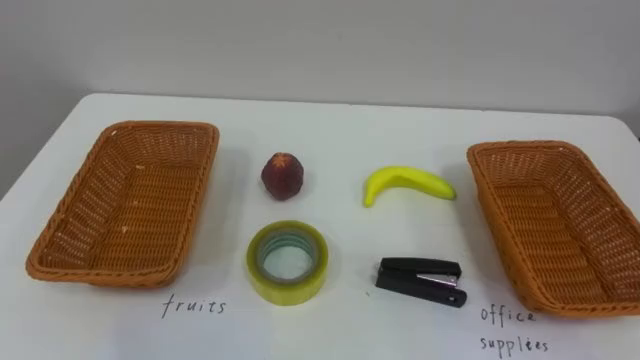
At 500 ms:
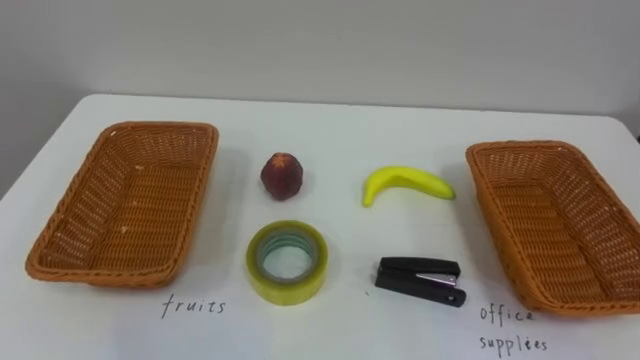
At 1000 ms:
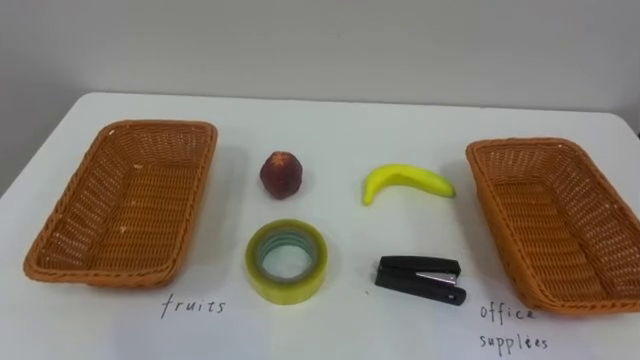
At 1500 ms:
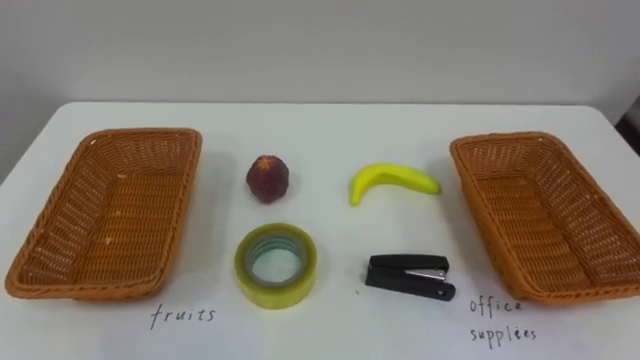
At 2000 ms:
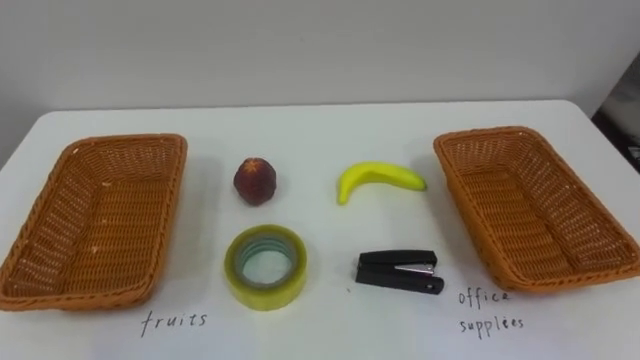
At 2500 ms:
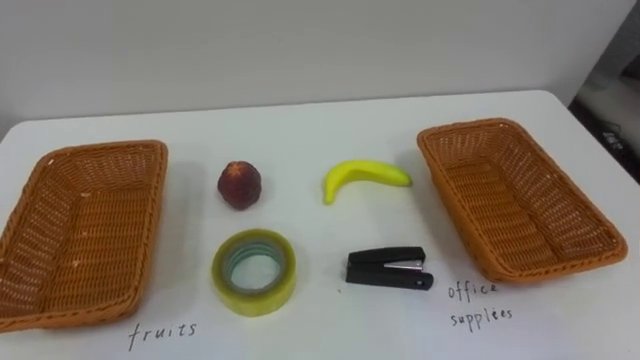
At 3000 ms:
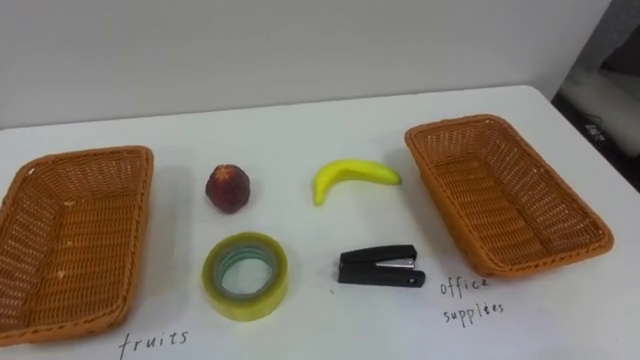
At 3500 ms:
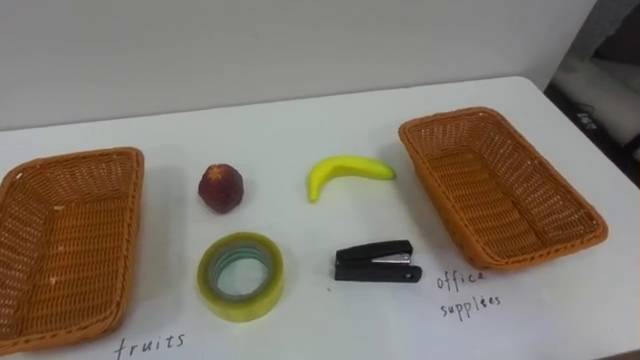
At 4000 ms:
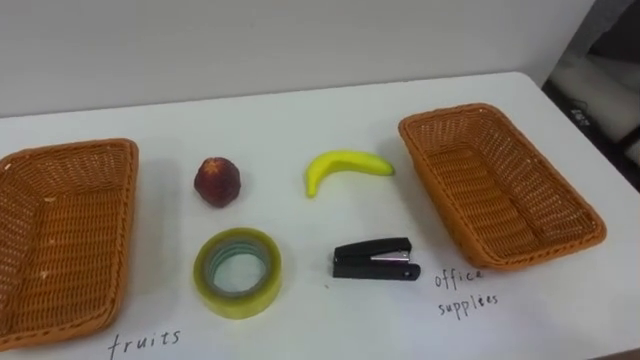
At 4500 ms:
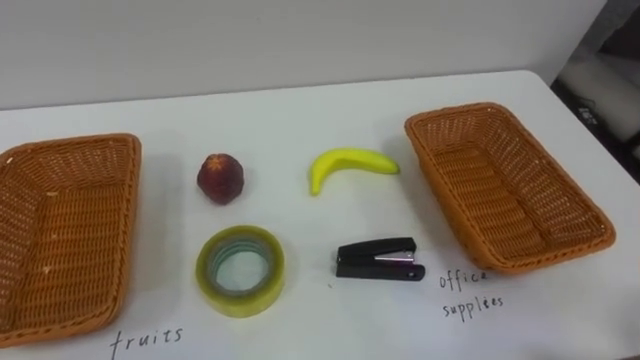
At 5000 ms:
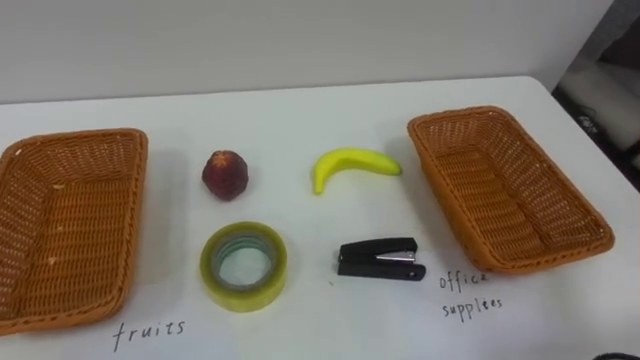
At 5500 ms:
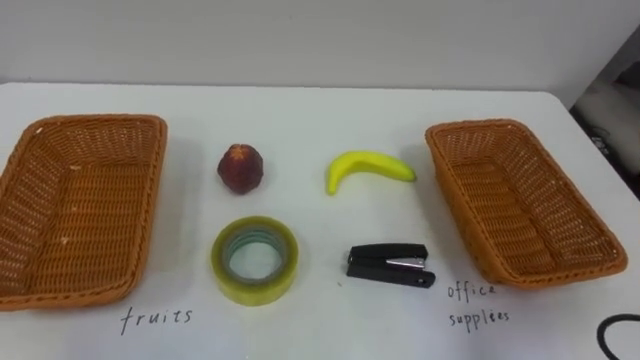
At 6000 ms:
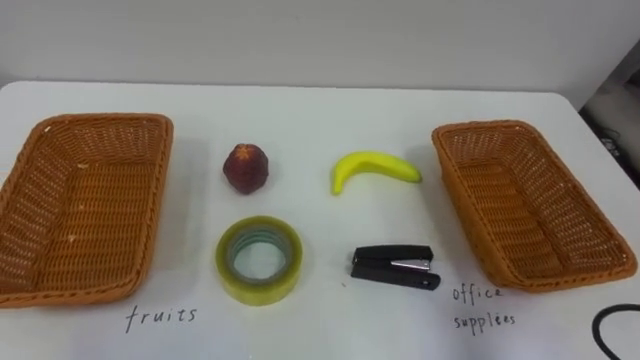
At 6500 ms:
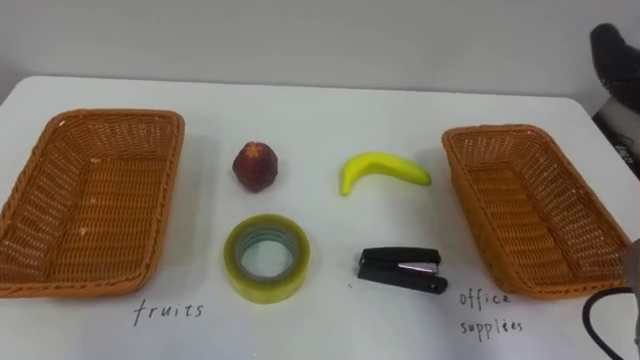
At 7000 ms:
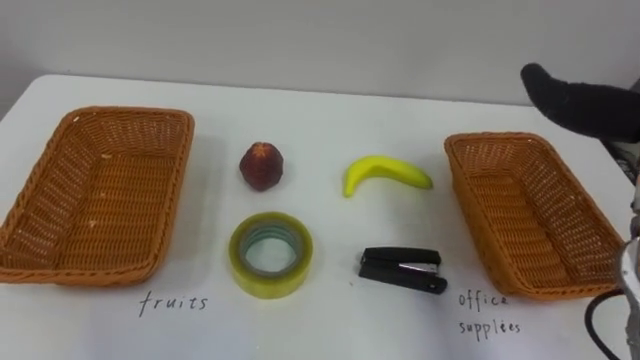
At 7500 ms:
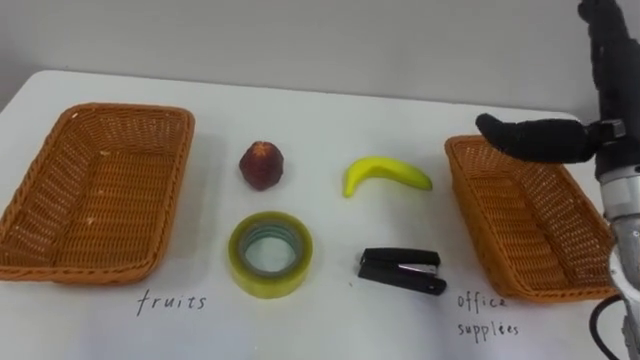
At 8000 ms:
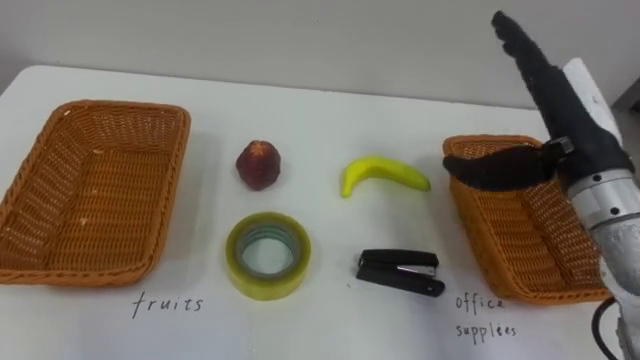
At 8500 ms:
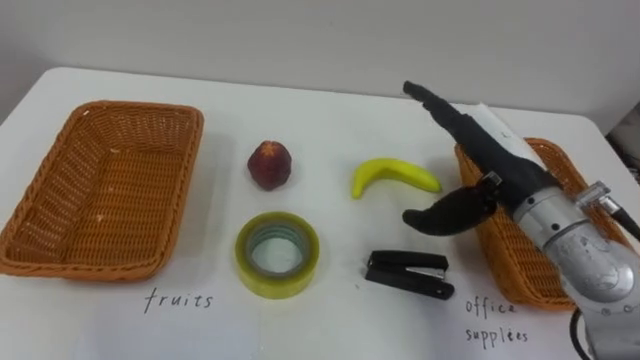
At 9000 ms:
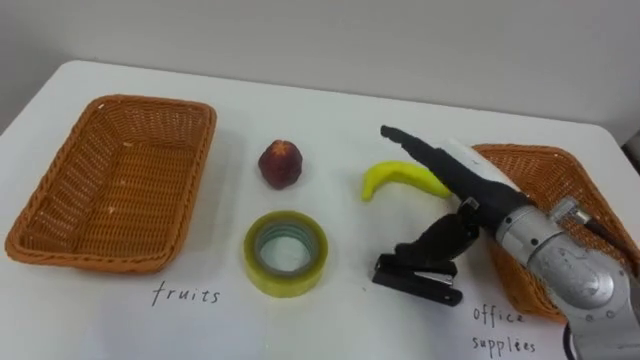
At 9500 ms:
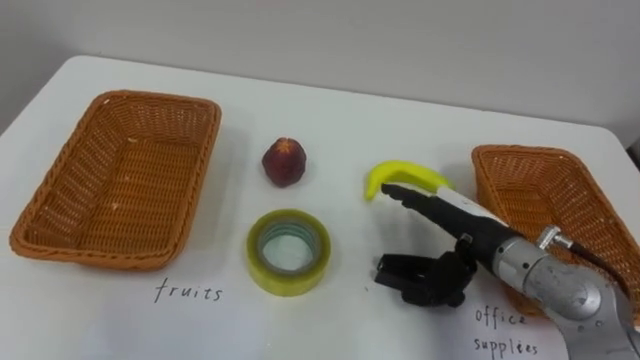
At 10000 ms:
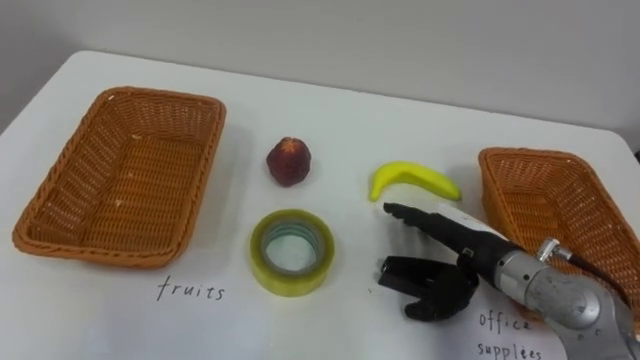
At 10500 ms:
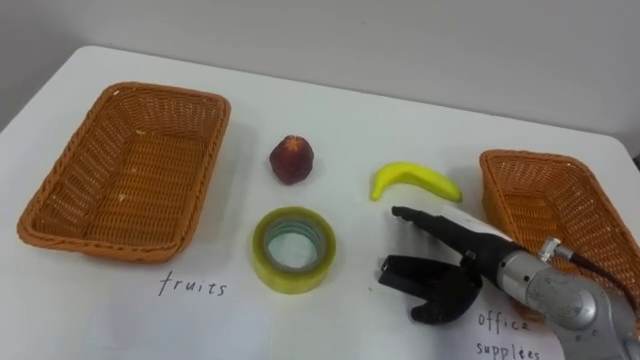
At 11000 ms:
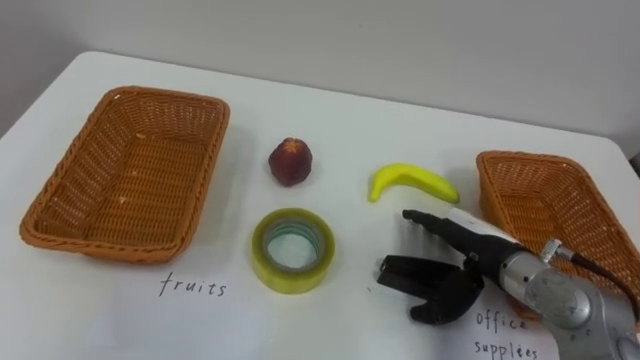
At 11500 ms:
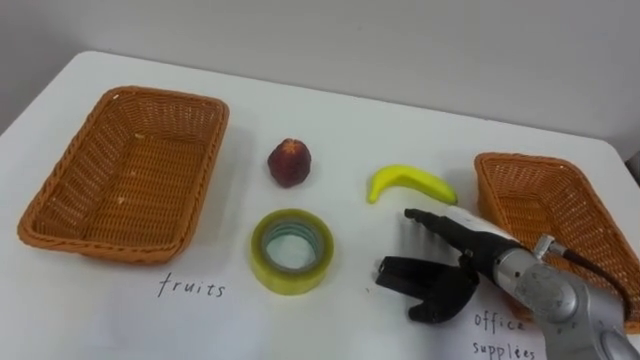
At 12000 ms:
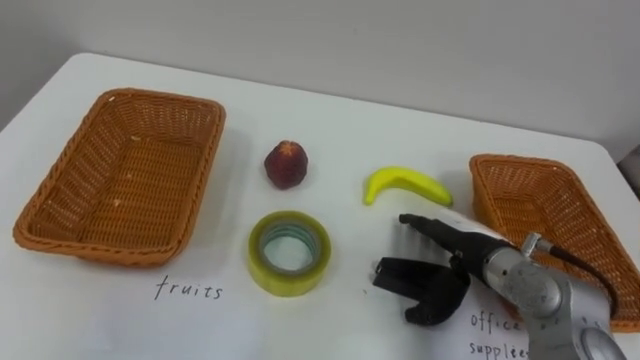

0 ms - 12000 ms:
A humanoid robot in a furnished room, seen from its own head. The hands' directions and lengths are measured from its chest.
Task of the whole recording: Separate the items on the table and place them into the two baskets.
8000 ms - 10000 ms: The right hand travels downward by approximately 15 cm.

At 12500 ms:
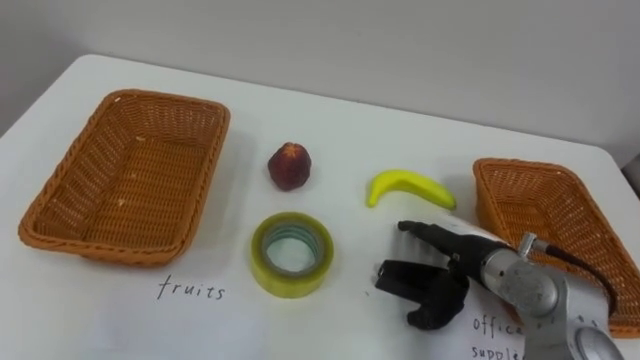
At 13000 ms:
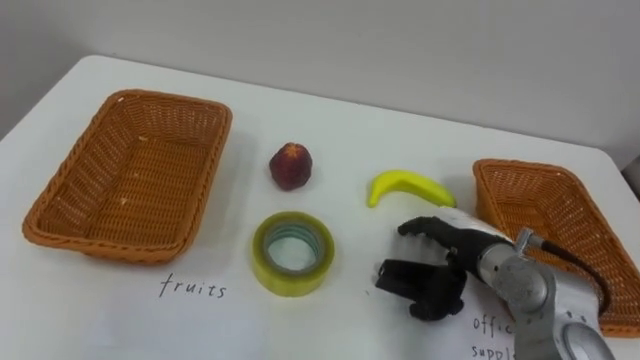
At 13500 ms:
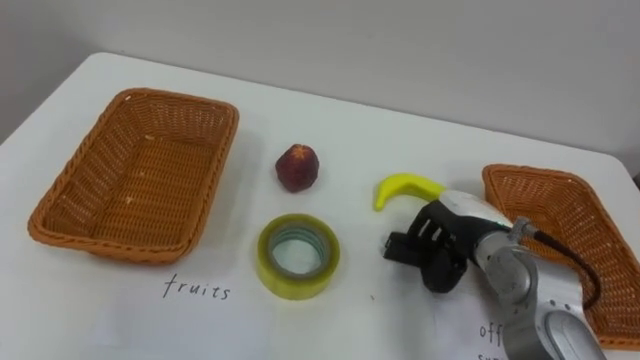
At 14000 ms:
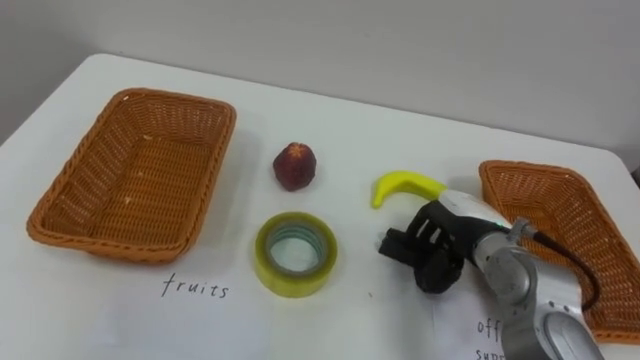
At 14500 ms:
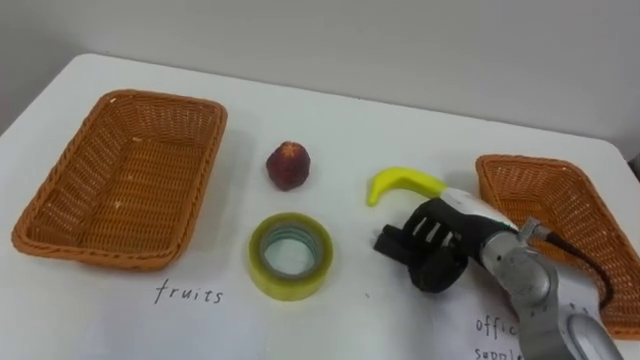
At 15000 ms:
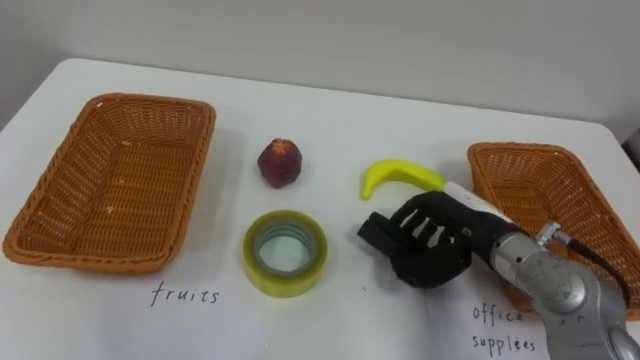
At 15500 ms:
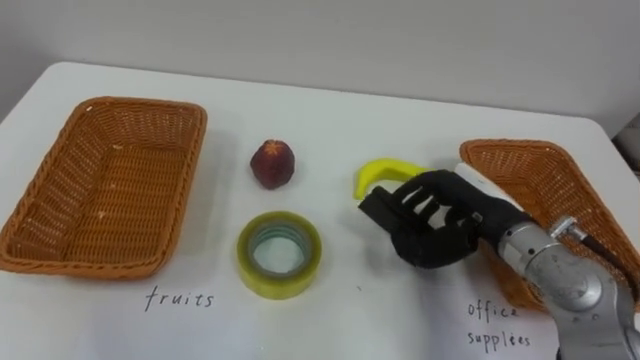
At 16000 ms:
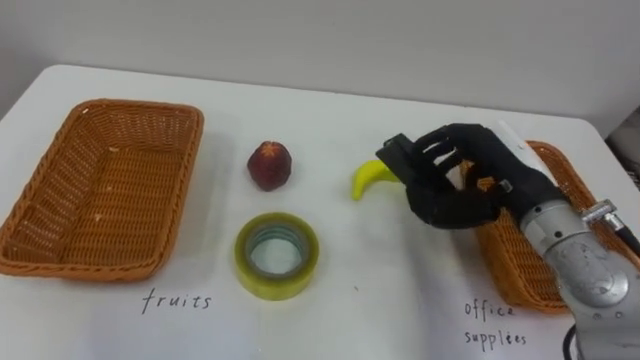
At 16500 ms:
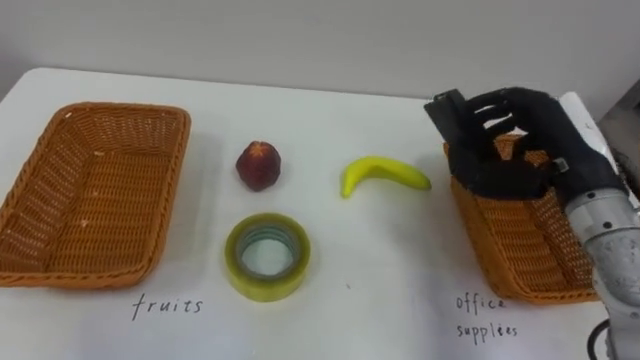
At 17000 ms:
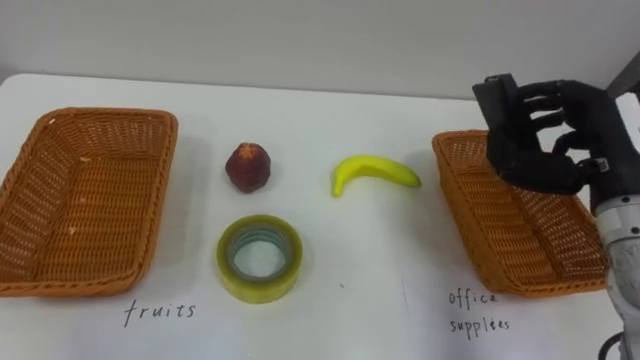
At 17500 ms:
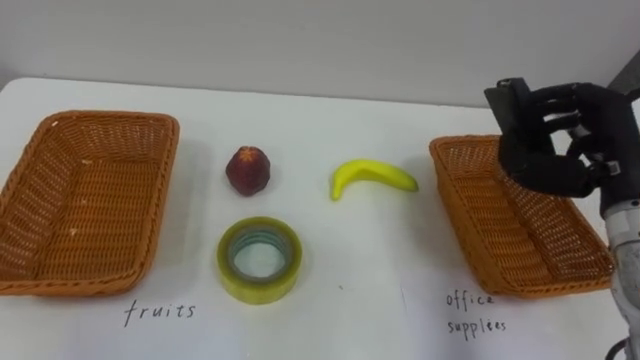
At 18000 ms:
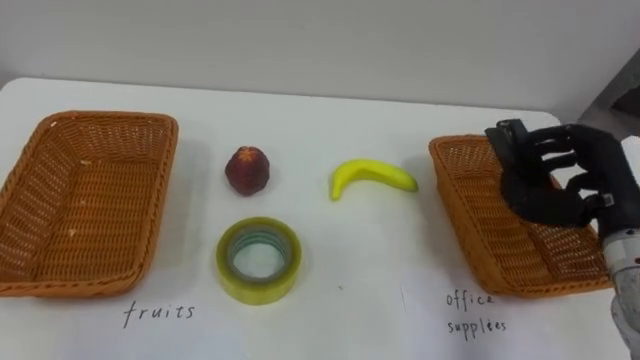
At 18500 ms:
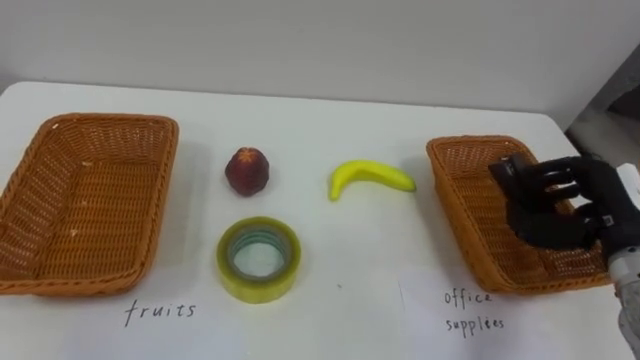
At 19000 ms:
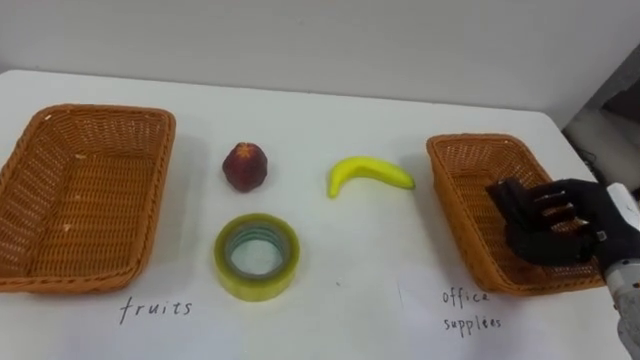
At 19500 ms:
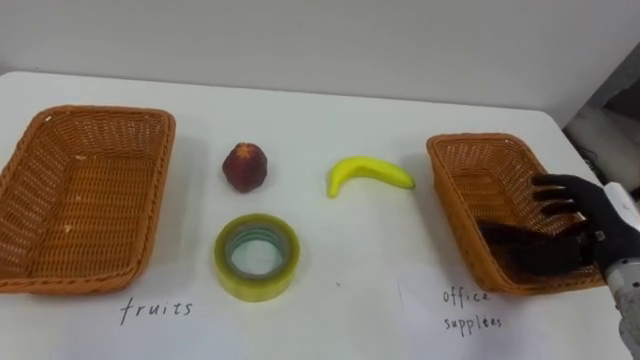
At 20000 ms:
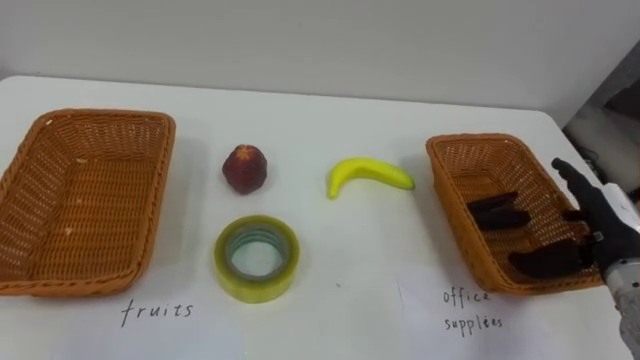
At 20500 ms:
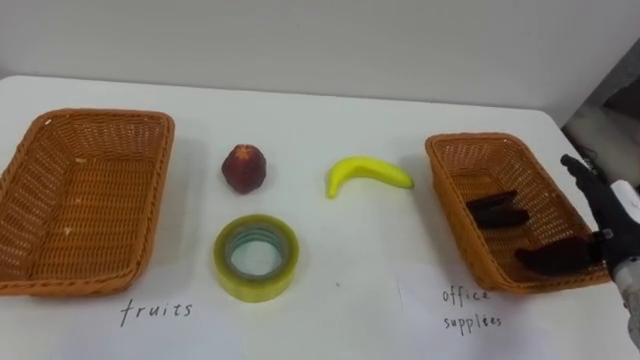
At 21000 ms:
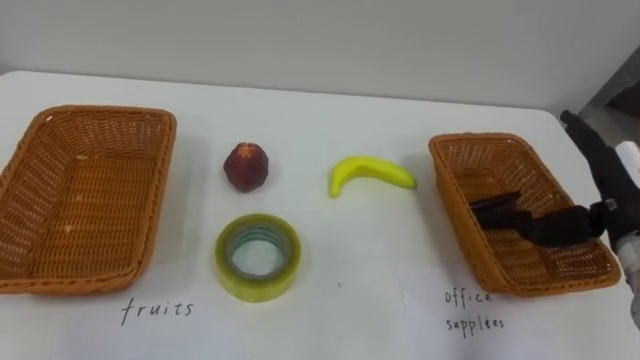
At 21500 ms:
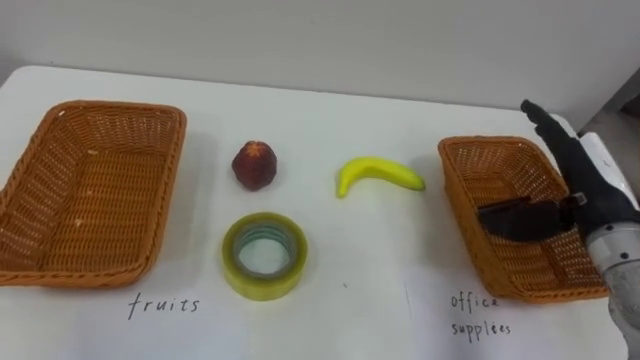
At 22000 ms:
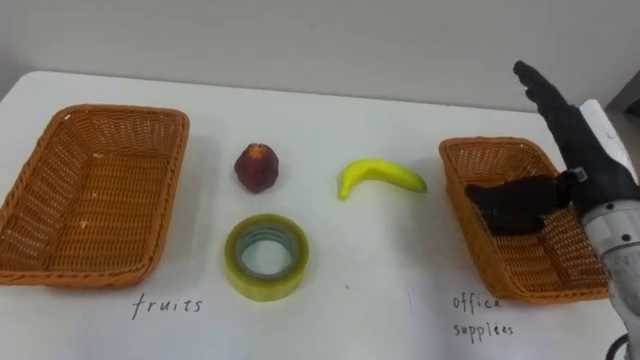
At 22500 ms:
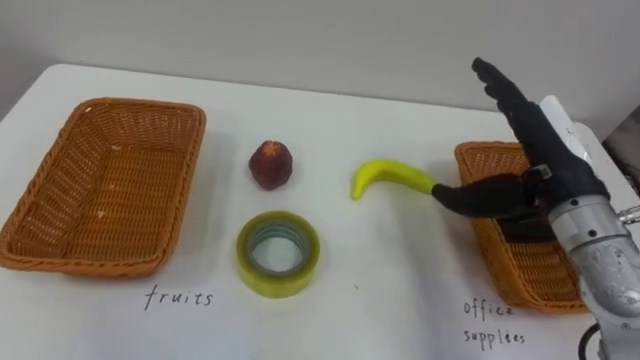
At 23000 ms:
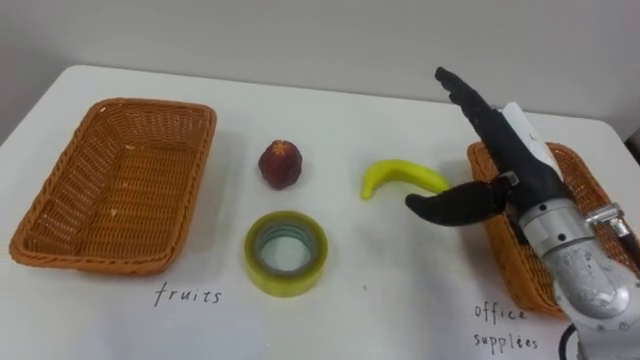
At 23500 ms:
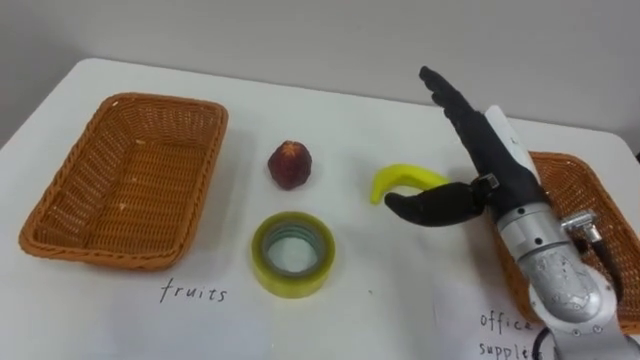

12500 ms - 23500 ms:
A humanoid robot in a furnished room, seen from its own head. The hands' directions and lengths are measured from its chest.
Task of the whole recording: Separate the items on the table and place them into the two baskets.
12500 ms - 14500 ms: The right hand closes.
14500 ms - 16000 ms: The right hand goes roughly 10 cm upward.
16000 ms - 18000 ms: The right hand heads to the right, covering approximately 10 cm.
18000 ms - 20000 ms: The right hand shifts some 5 cm downward, and opens up.
20000 ms - 21500 ms: The right hand heads upward, covering approximately 5 cm.
21500 ms - 23500 ms: The right hand is displaced to the left by roughly 10 cm.
